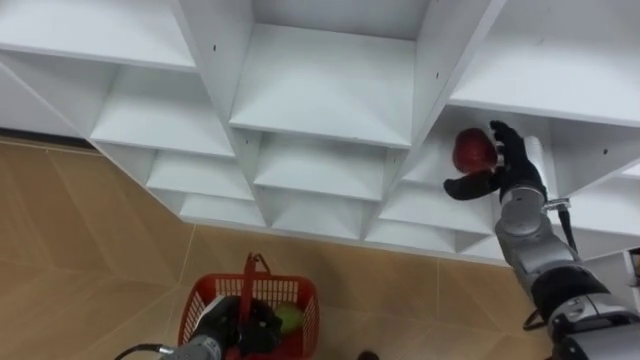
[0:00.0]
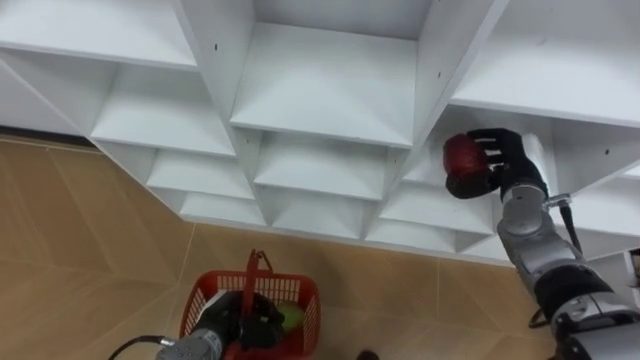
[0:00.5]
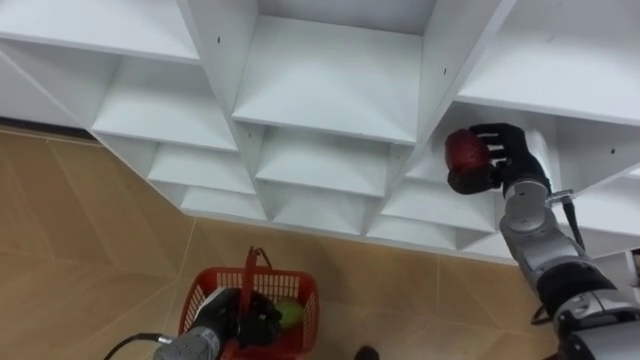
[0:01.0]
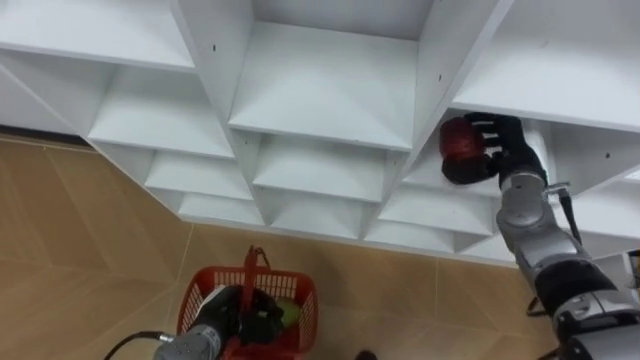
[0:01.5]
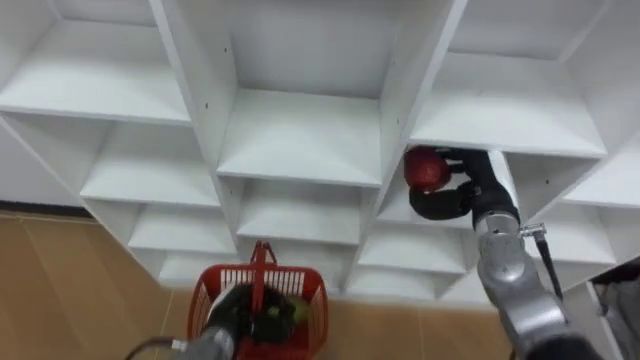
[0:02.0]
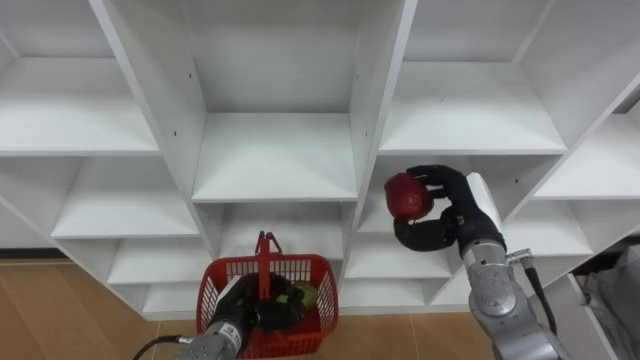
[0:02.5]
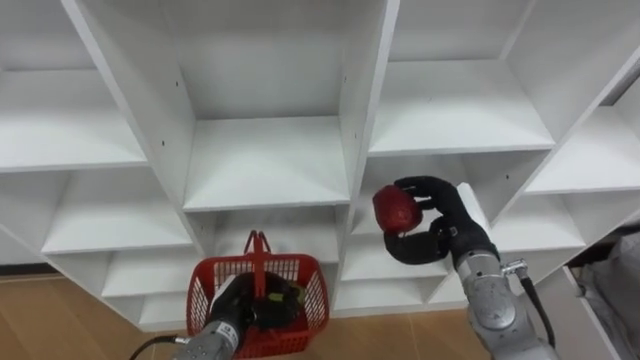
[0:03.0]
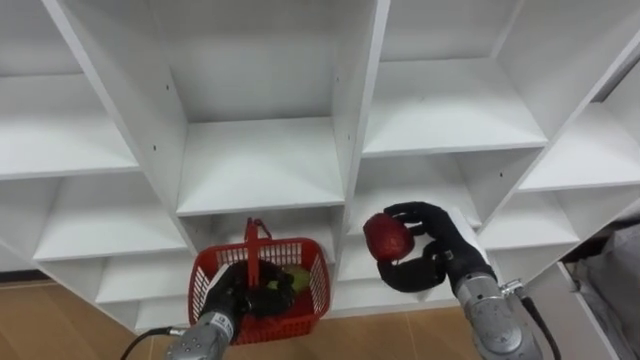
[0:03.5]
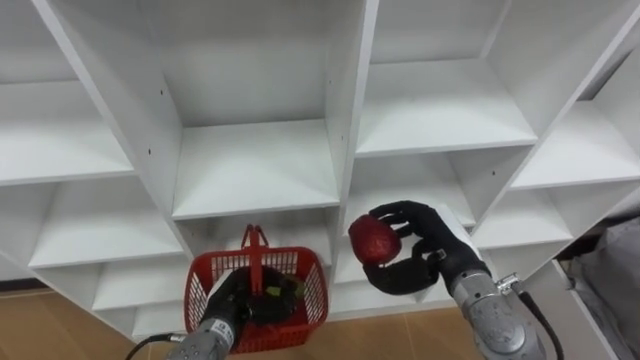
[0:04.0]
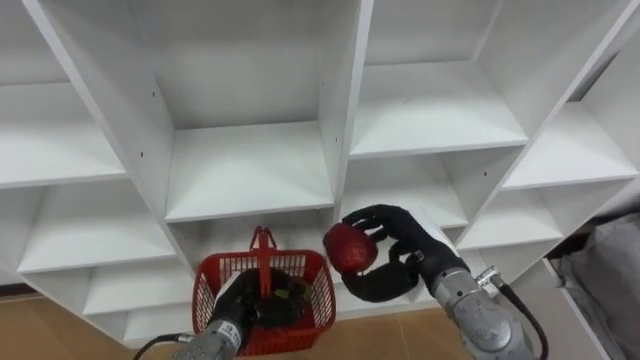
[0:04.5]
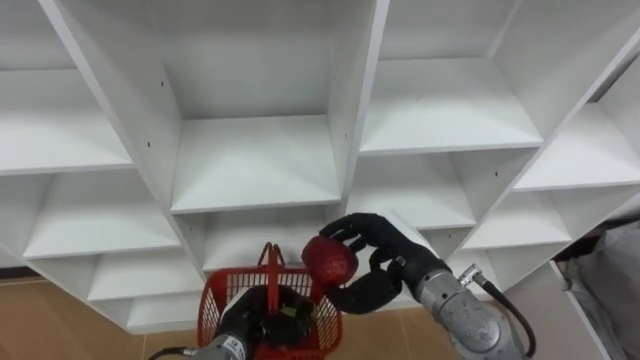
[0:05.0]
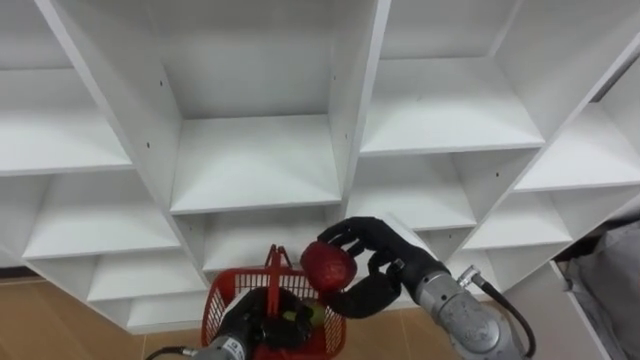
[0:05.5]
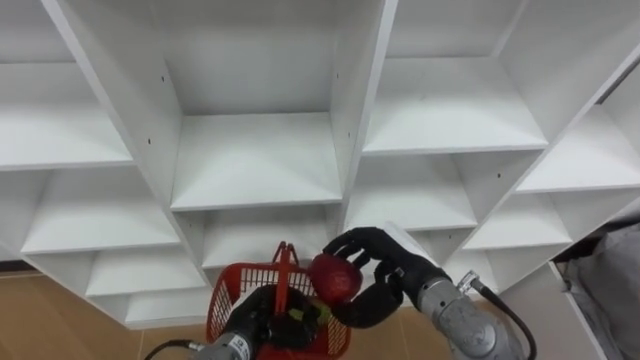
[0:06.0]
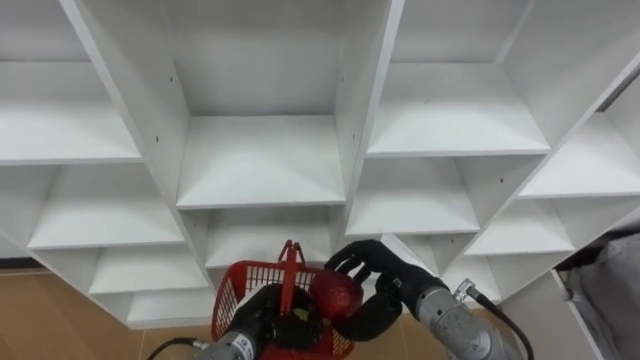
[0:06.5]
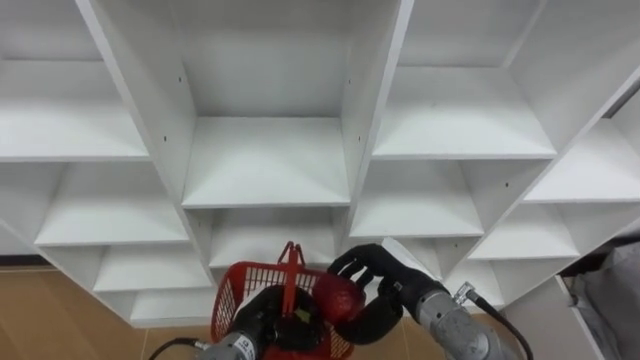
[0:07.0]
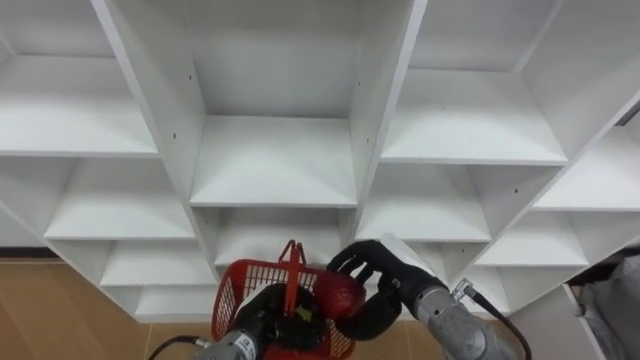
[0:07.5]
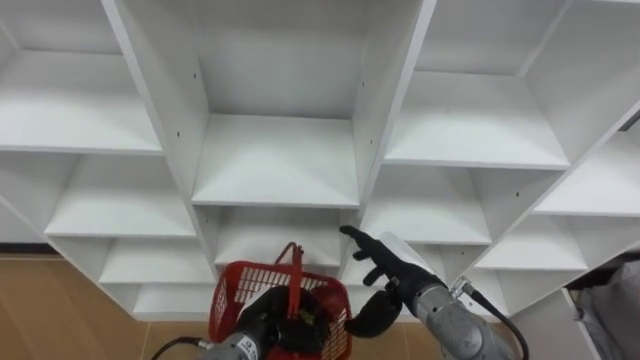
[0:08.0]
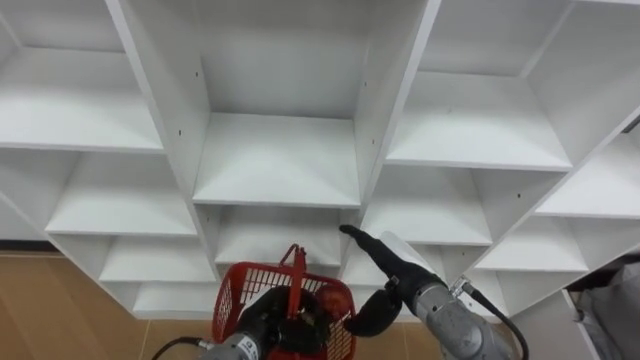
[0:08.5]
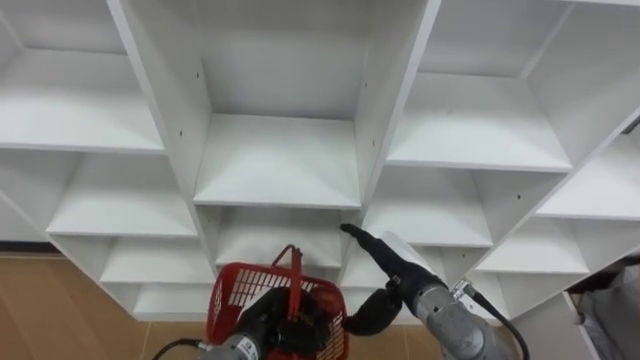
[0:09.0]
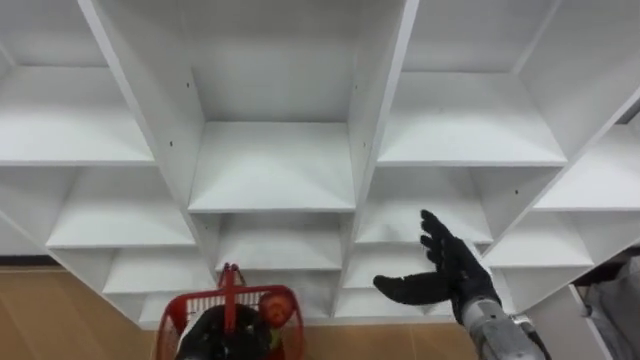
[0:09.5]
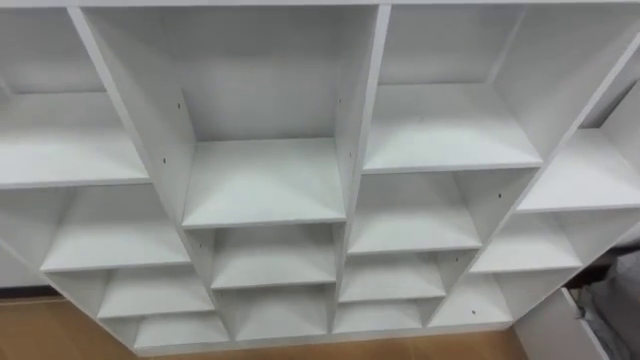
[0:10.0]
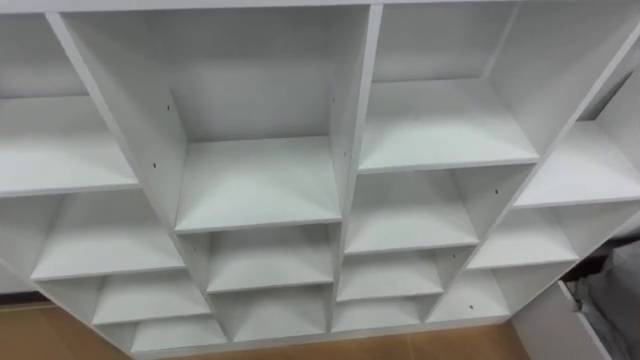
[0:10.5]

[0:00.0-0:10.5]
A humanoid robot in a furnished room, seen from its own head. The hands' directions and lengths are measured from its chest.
Task of the whole recording: Hold the basket and collect the fruits from 3 different cells of the closet into it.
0:00.0 to 0:02.0: The right hand shifts by roughly 5 cm, and closes up.
0:02.0 to 0:04.0: The right hand shifts about 10 cm backward and to the left.
0:04.0 to 0:06.5: The right hand shifts about 5 cm to the left.
0:06.5 to 0:08.5: The right hand opens.

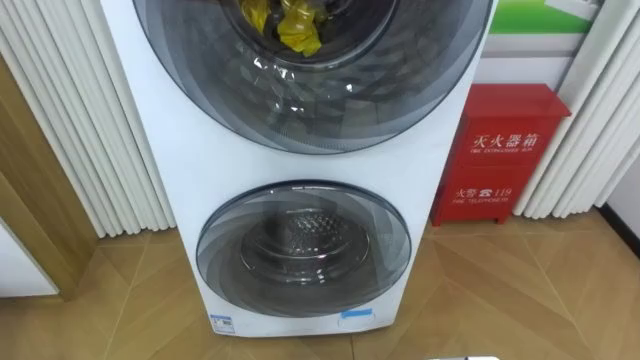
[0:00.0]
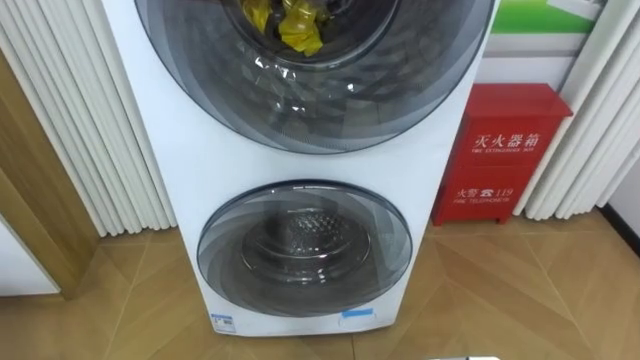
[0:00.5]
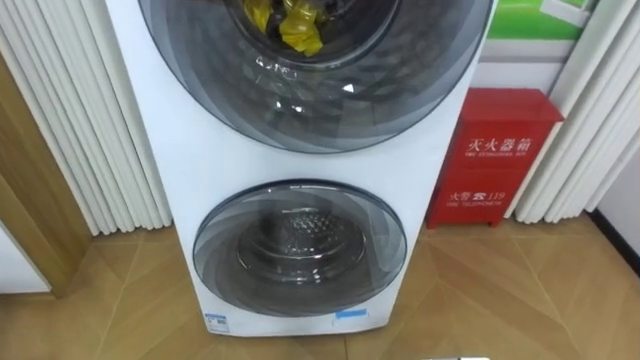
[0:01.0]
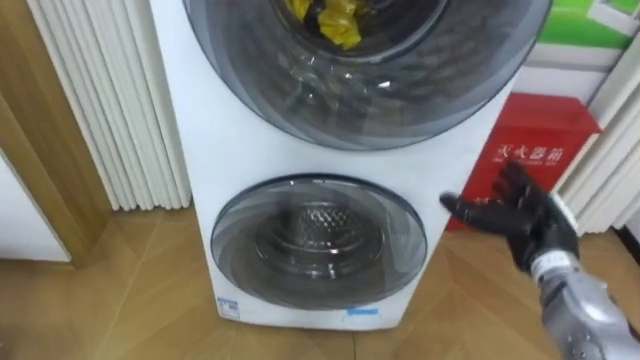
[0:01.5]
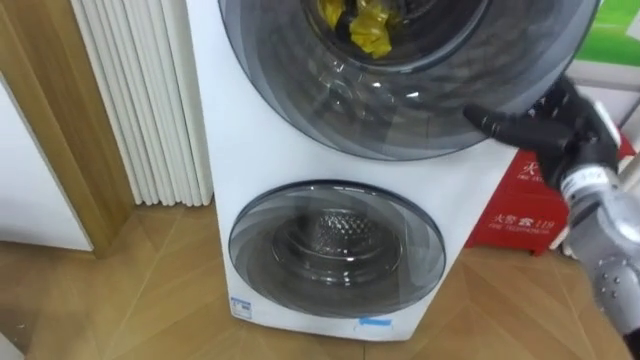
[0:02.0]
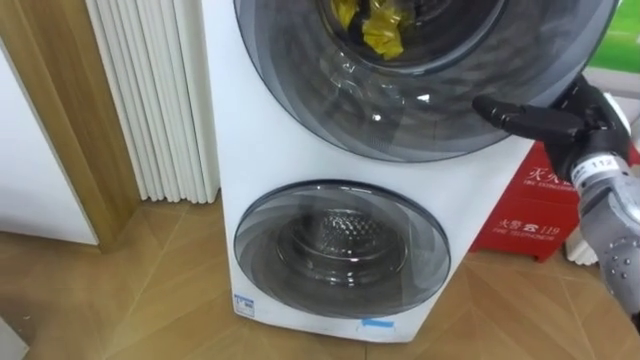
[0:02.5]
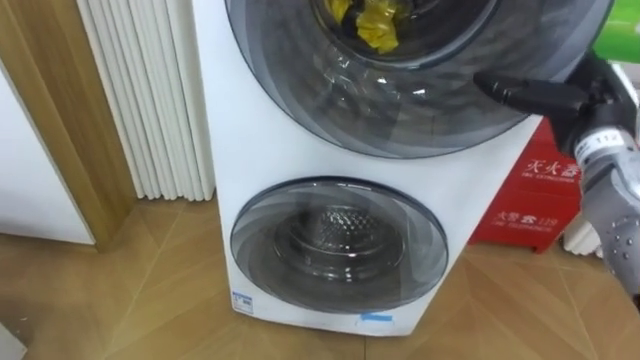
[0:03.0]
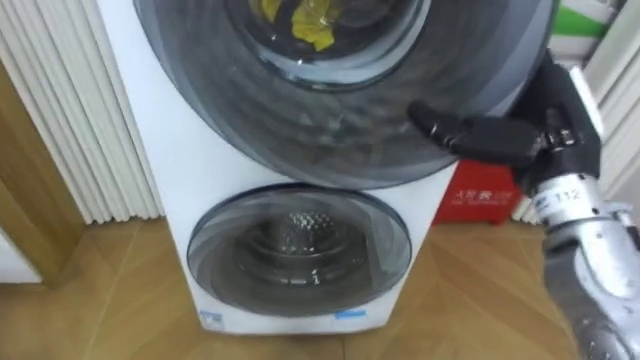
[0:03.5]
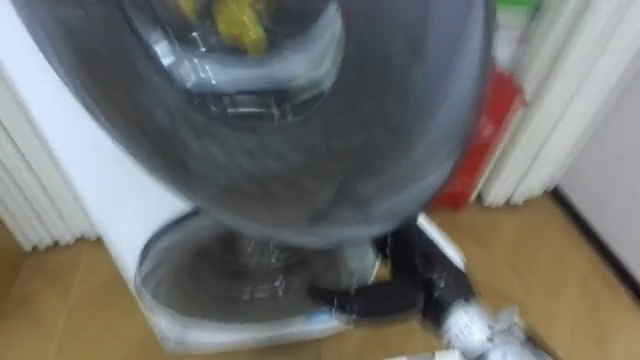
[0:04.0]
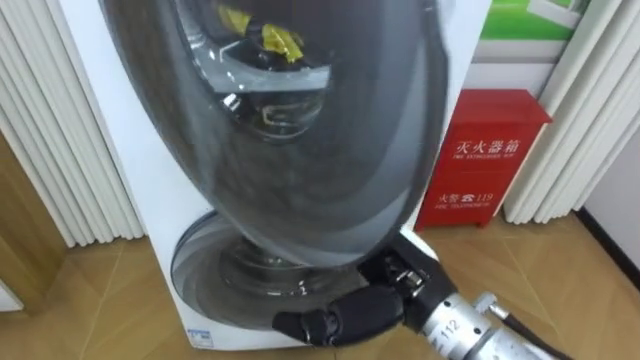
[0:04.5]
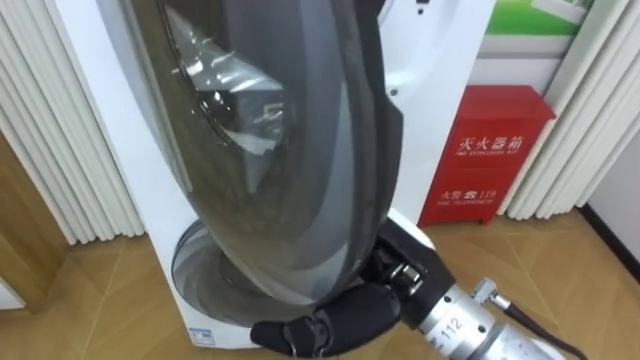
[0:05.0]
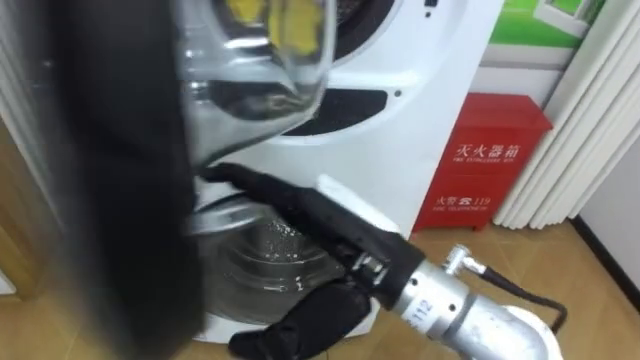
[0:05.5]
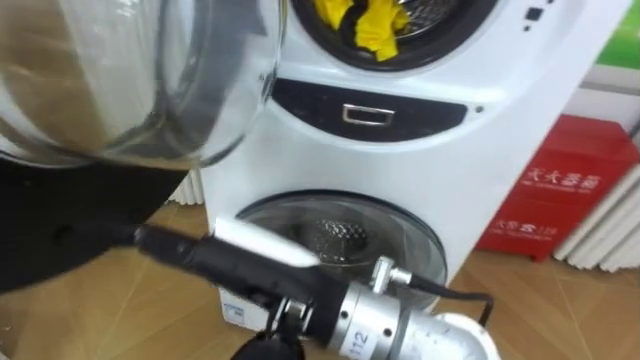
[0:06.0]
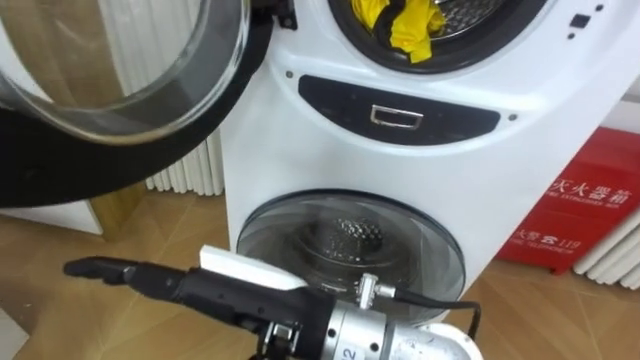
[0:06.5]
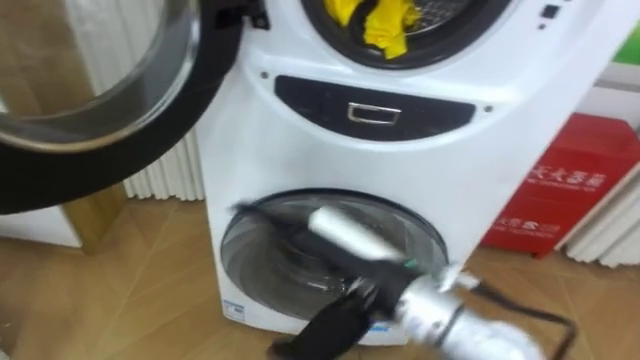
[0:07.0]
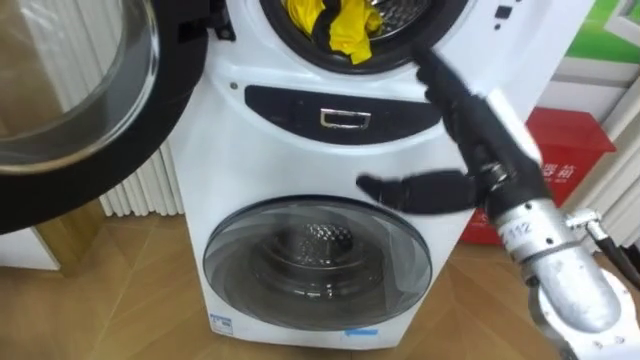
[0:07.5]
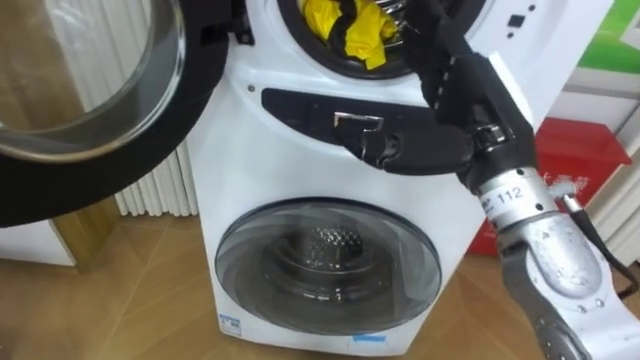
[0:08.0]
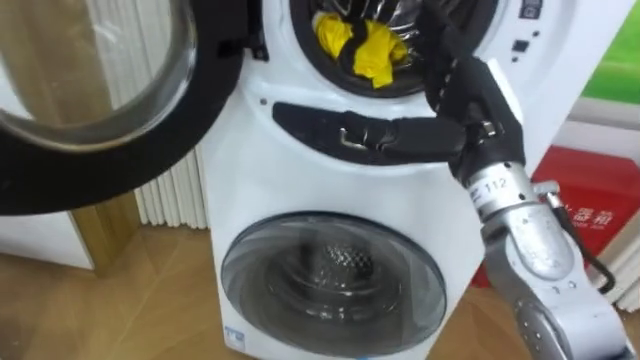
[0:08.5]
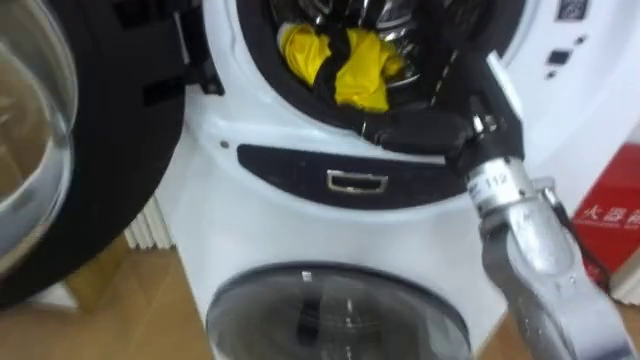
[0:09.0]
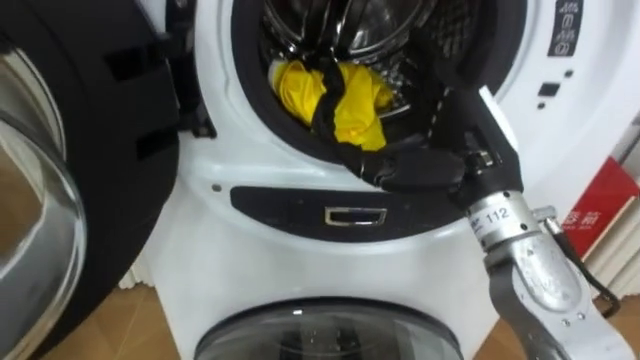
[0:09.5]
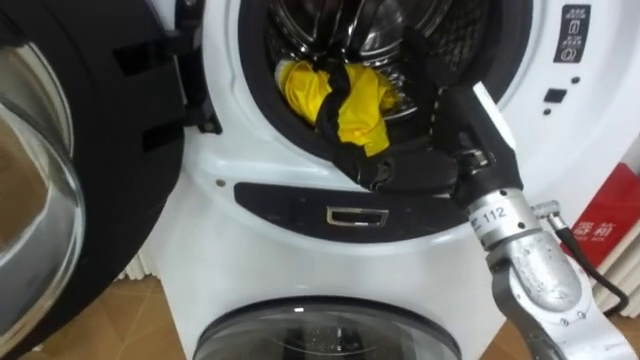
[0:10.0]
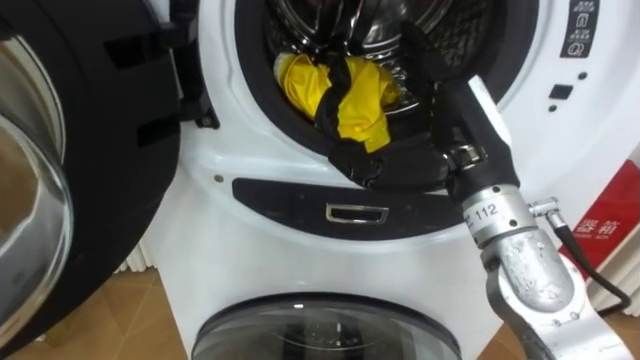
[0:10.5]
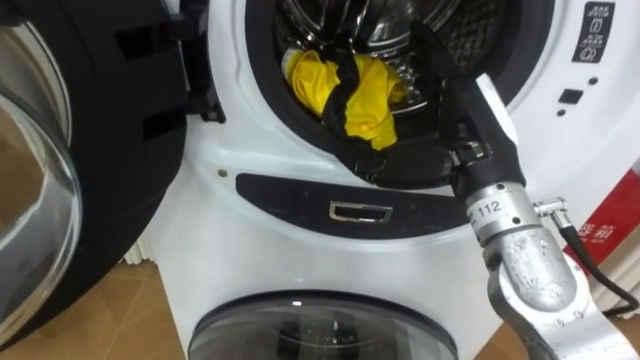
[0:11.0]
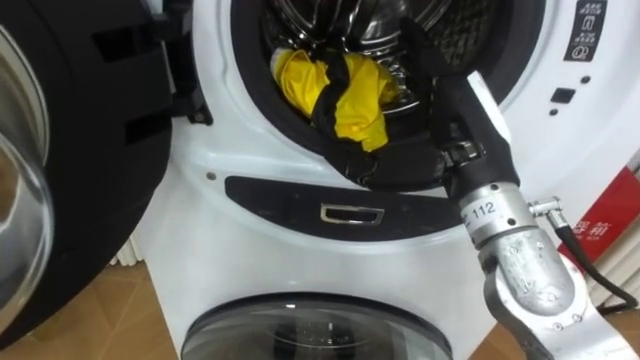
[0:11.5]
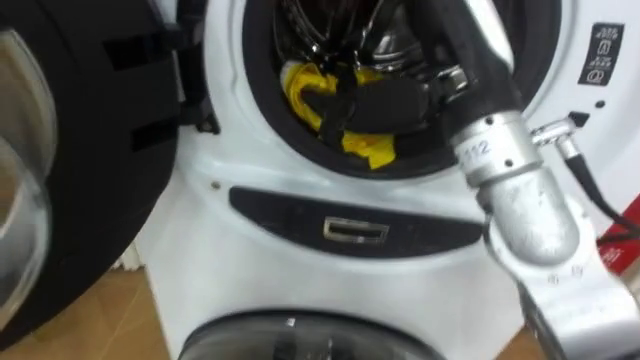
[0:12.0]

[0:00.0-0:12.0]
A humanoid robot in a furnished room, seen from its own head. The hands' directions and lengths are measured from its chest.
Task of the whole recording: Open the washing machine door, take out the yellow clothes, place them in the box on the right, and close the washing machine door.
0:02.0 to 0:04.0: The right hand goes about 20 cm to the left and backward.
0:04.0 to 0:06.0: The right hand goes approximately 20 cm to the left, upward and backward.
0:06.0 to 0:08.0: The right hand heads to the right and forward, covering about 20 cm.
0:10.0 to 0:12.0: The right hand travels upward by some 10 cm.
